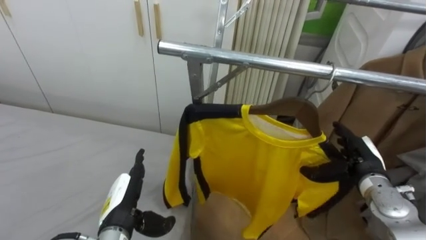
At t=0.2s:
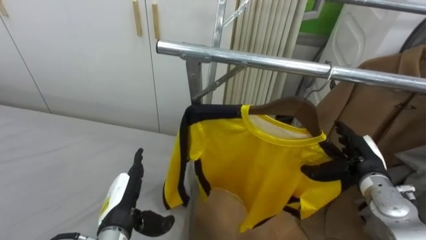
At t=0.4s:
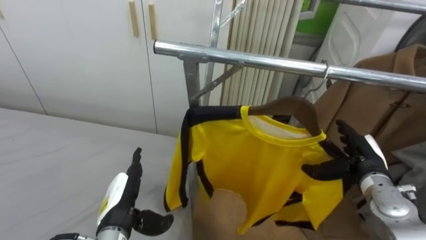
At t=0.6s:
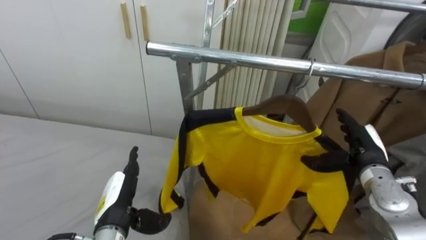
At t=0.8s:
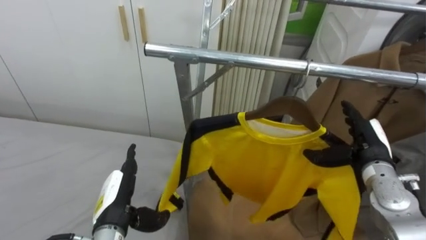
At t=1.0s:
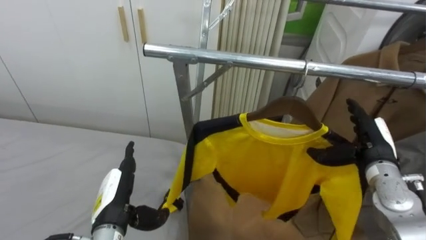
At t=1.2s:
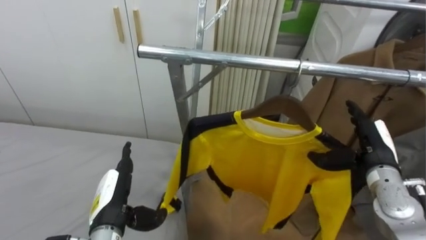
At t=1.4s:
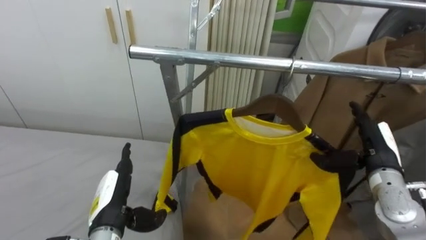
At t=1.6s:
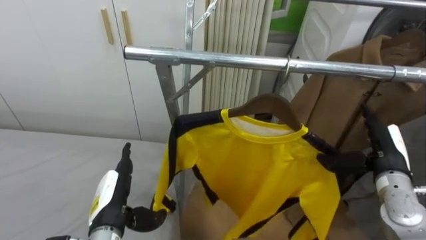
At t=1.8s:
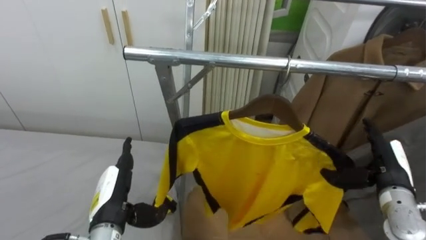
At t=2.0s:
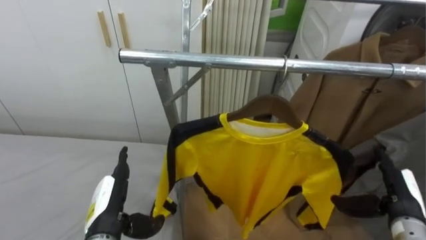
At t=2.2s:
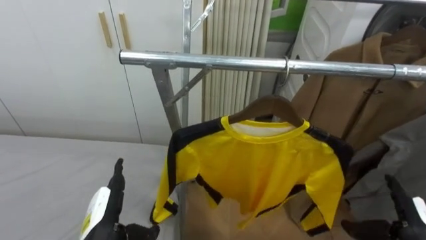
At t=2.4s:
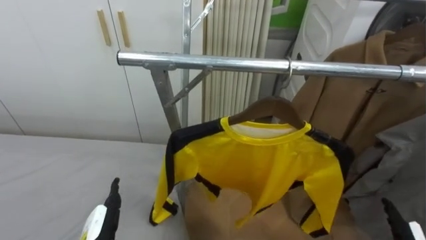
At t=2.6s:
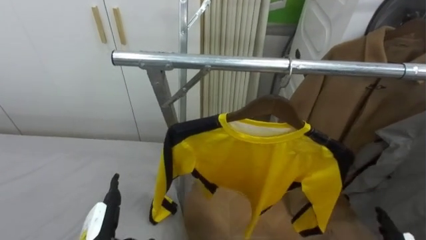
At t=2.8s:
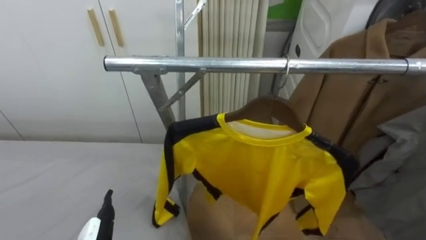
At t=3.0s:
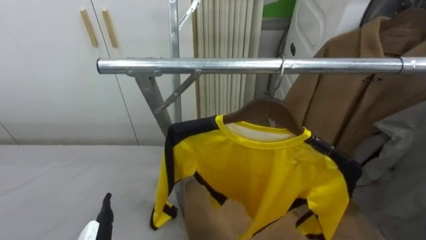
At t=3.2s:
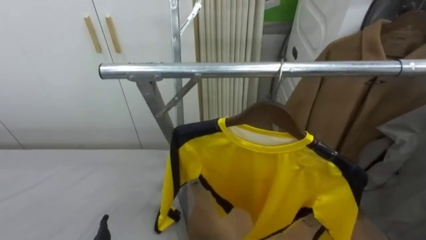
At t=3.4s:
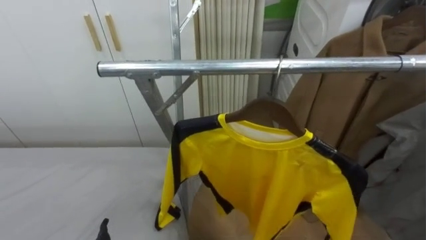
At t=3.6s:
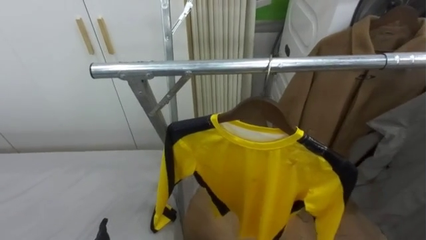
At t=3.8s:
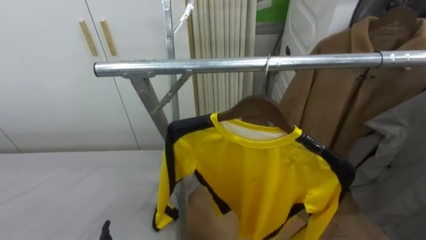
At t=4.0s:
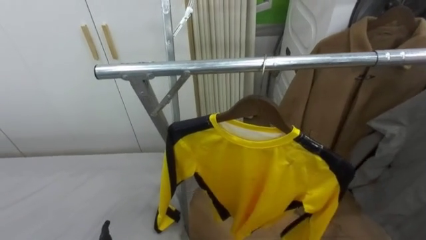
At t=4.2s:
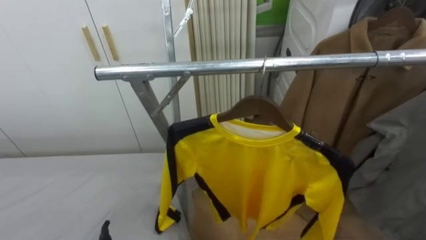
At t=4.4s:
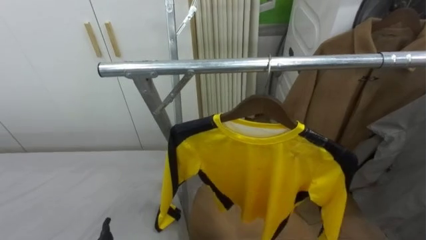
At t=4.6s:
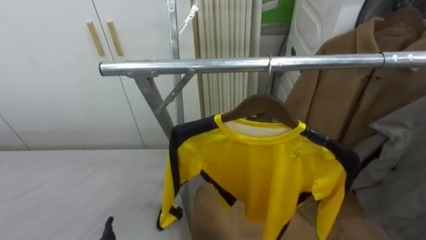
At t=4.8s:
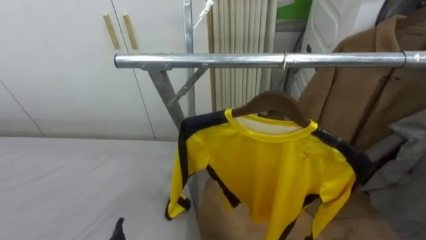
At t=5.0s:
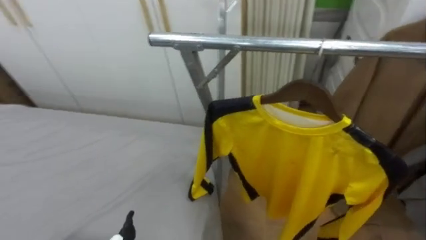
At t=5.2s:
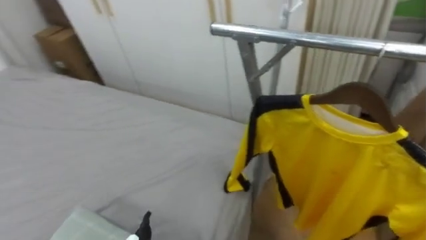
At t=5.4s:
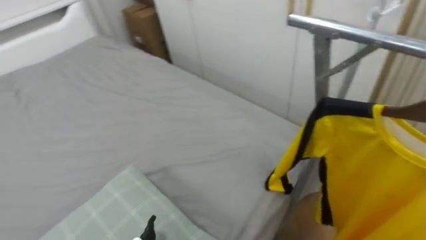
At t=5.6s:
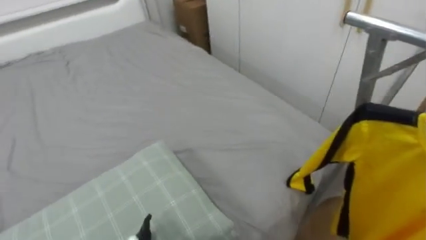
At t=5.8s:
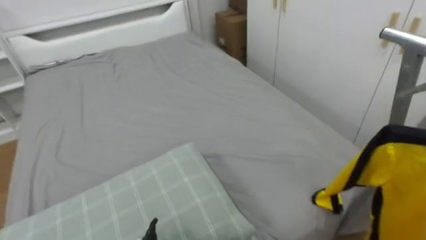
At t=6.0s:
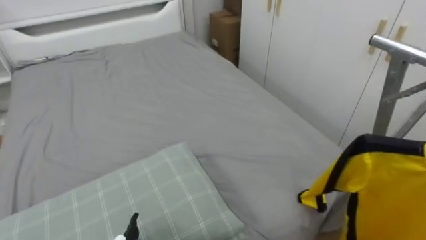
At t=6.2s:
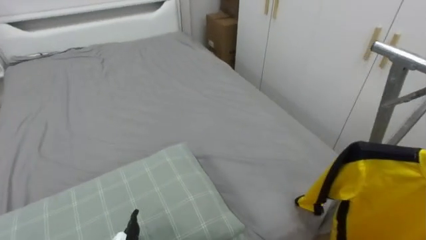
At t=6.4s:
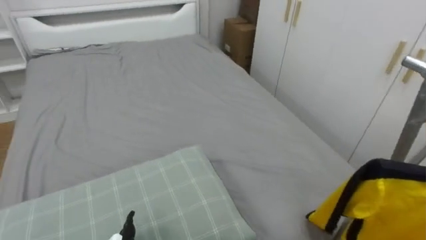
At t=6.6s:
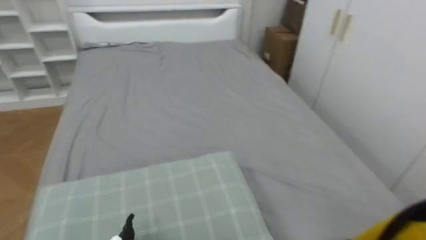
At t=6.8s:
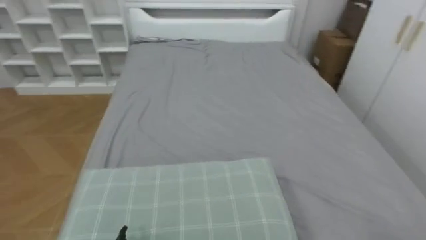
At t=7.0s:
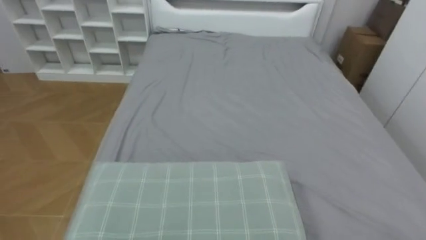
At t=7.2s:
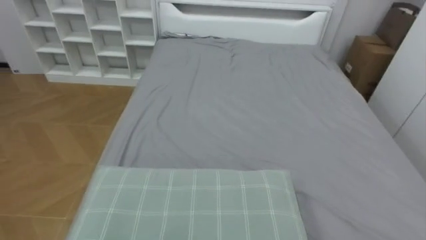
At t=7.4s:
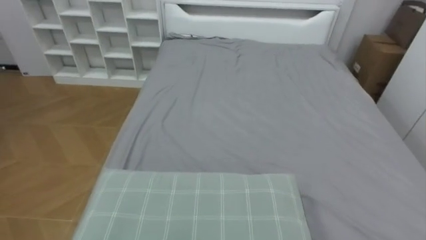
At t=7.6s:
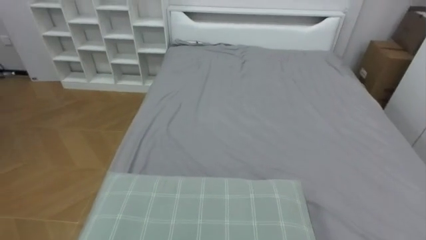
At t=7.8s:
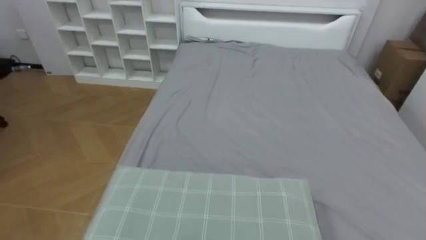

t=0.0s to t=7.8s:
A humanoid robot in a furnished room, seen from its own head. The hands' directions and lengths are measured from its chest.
Task of the whole recording: Pick up the yellow shirt on the bed and hang it on the clothes rack on the right.
t=4.6s to t=6.2s: The robot's body swings about 60 degrees to its left.
t=6.2s to t=7.8s: The robot turns to its left by some 30 degrees.

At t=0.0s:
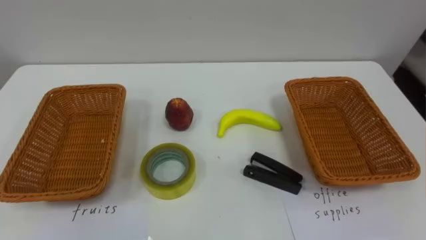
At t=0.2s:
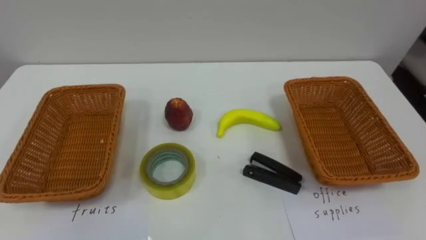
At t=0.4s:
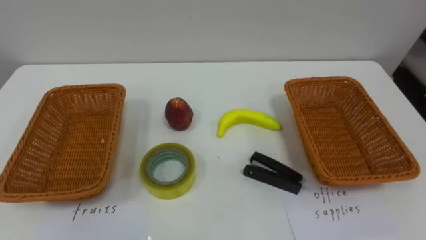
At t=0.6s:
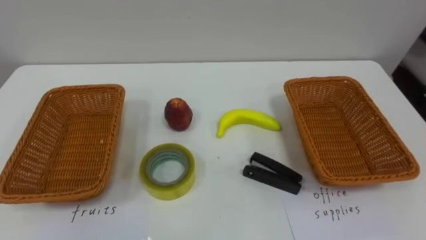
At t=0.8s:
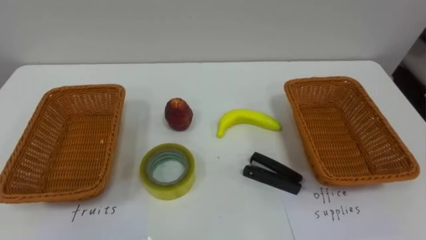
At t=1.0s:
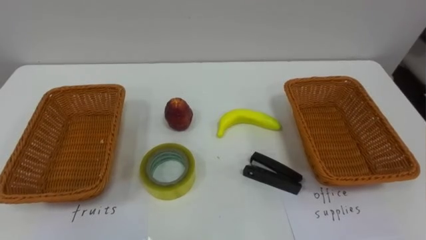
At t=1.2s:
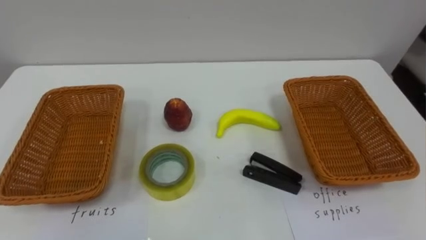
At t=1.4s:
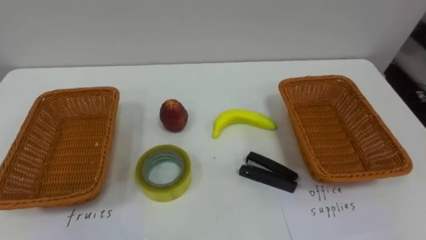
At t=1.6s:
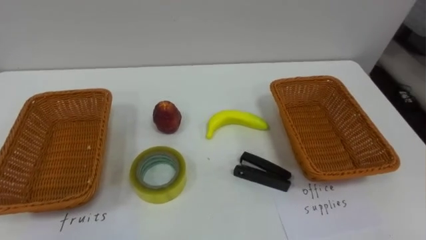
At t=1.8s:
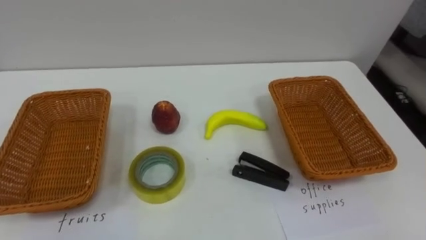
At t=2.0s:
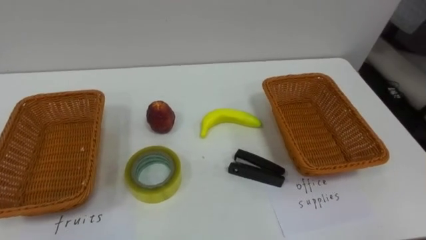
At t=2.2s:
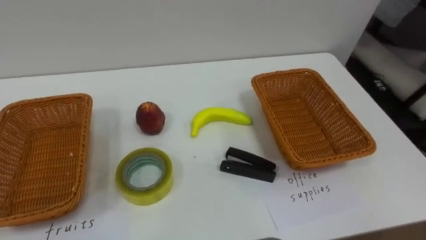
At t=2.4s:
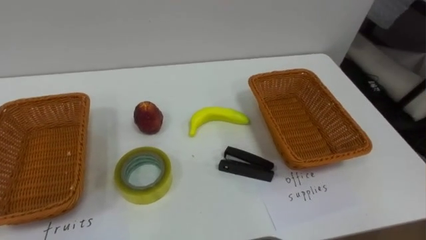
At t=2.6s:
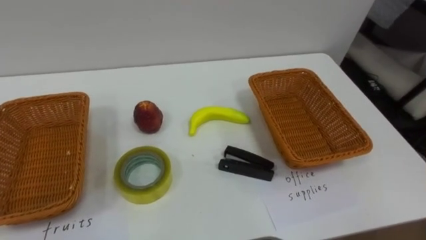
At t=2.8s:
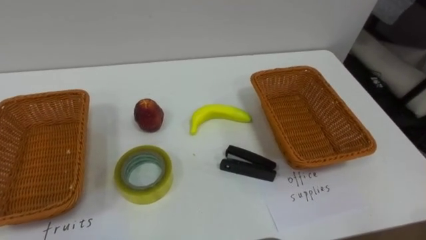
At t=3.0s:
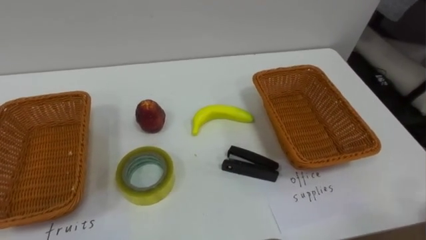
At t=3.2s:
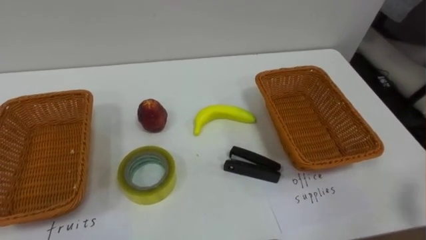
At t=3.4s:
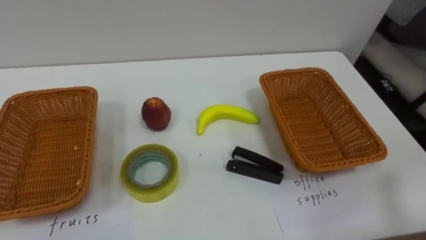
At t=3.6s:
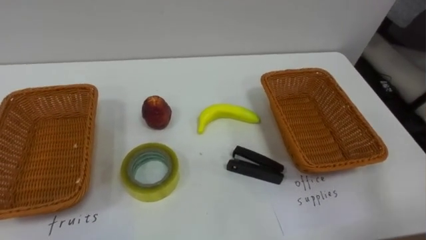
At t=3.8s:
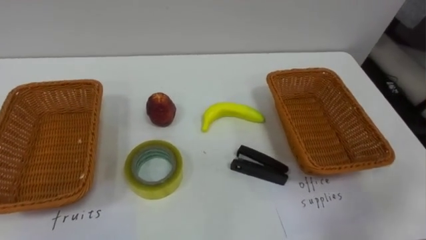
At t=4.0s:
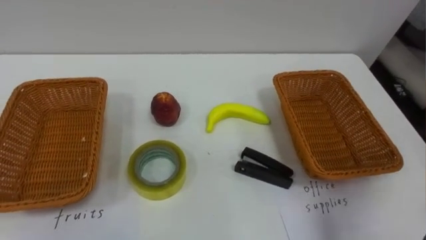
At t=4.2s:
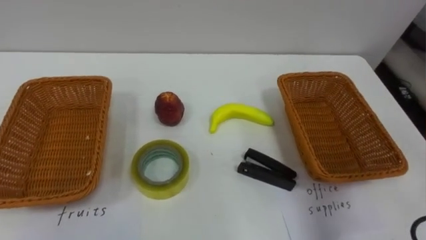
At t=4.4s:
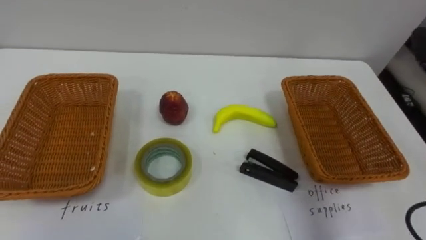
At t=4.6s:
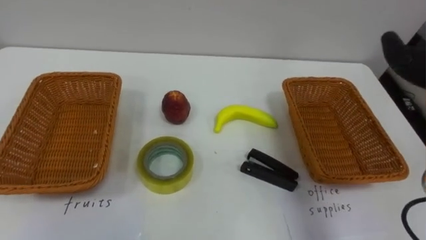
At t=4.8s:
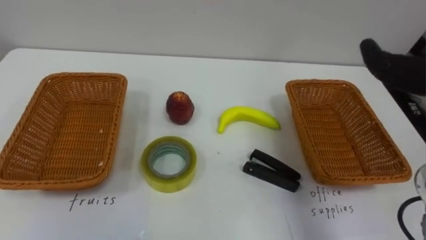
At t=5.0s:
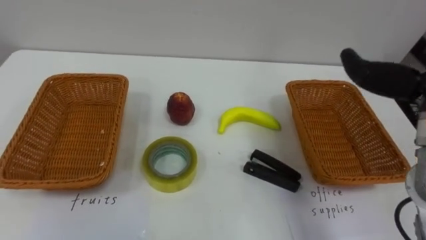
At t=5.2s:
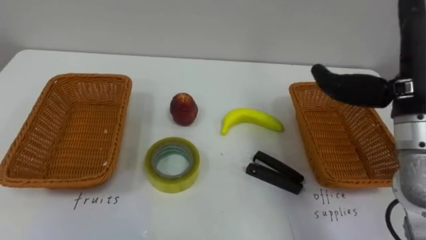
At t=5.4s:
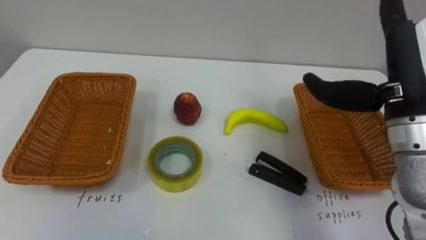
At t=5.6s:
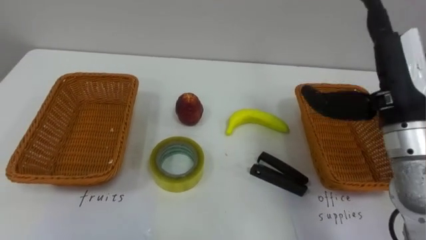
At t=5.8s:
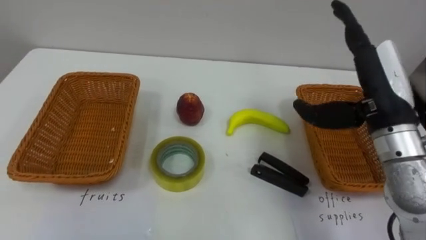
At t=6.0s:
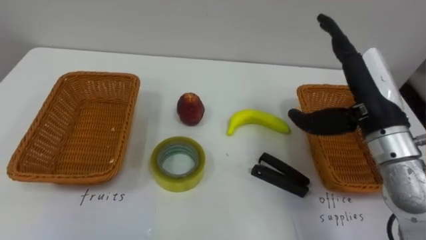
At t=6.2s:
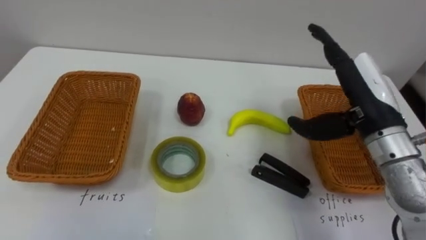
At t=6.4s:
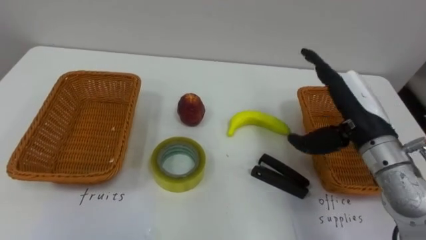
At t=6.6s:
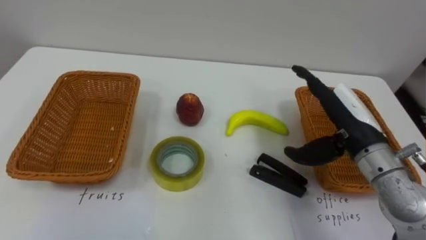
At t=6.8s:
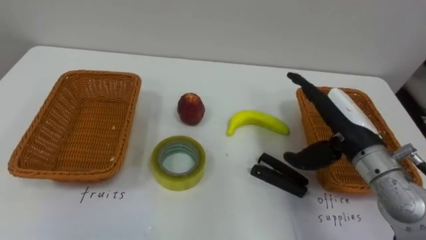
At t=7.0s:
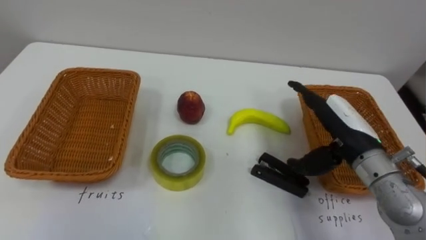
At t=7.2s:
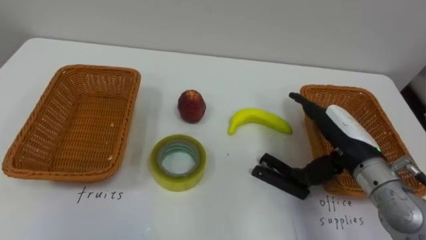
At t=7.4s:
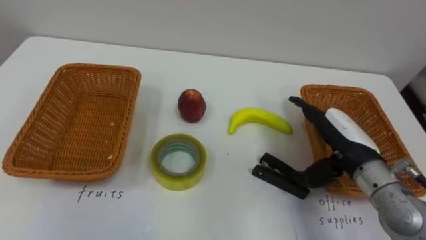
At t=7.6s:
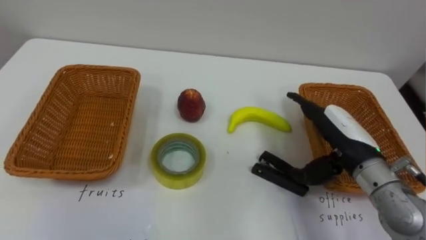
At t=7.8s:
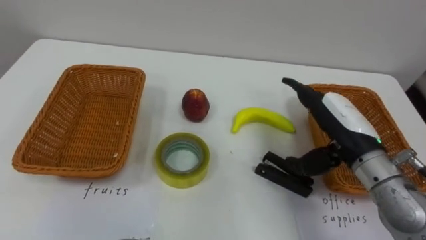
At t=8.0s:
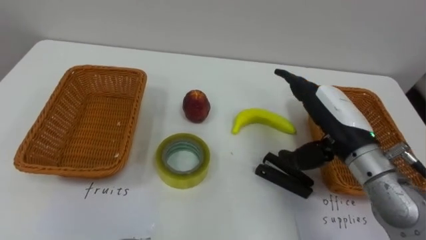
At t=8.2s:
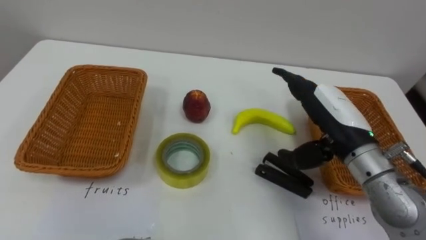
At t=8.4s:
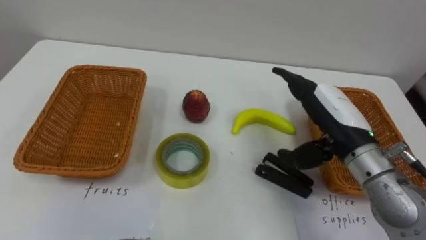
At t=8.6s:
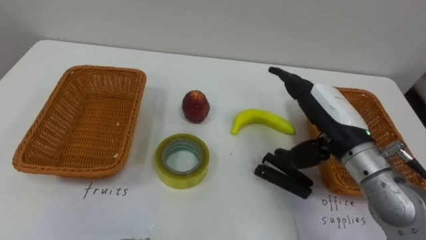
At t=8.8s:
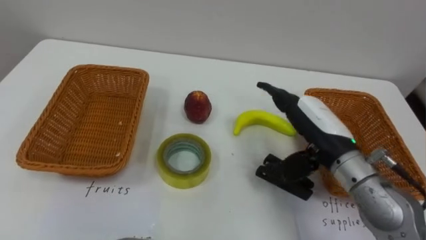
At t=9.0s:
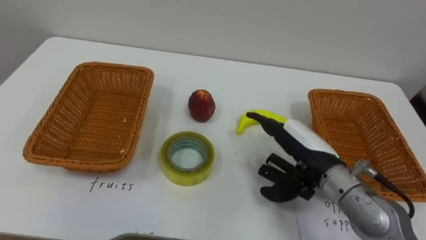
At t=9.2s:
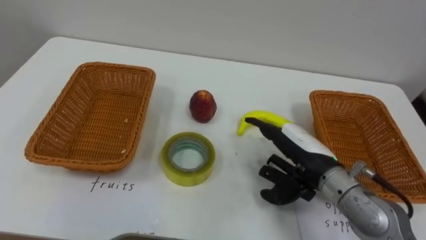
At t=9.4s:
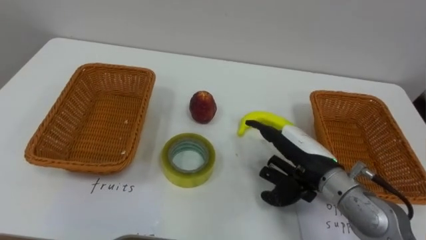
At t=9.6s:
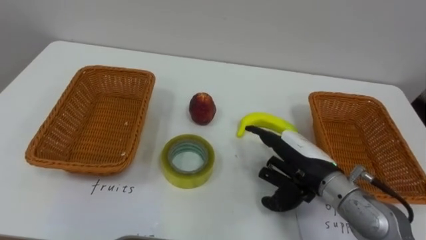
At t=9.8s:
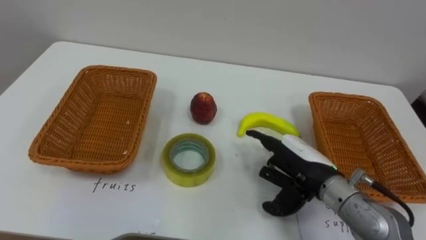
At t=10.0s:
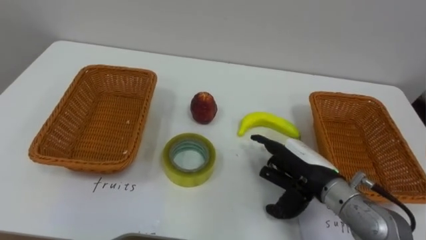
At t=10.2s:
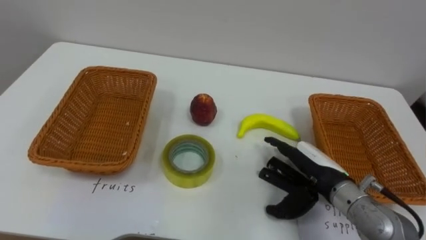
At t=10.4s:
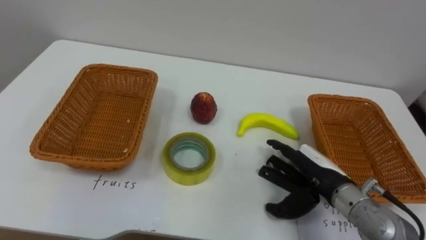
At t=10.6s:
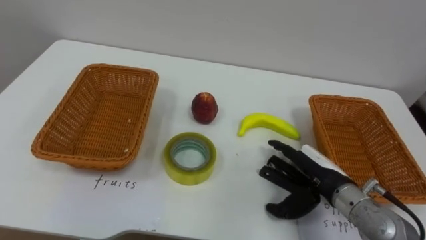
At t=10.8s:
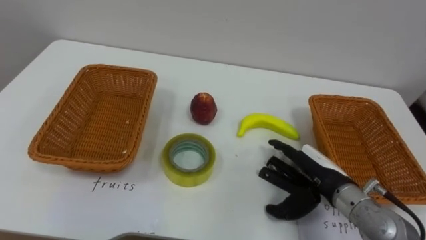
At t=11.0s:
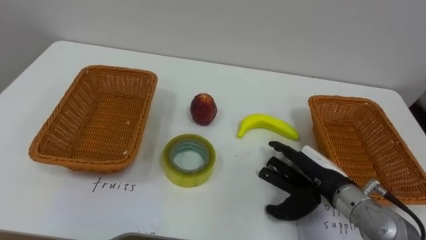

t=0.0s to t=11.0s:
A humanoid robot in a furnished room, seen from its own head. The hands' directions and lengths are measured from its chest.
Task of the whole recording: Separate the items on the table and place them into the two baskets.
t=6.2s to t=7.8s: The right hand moves downward, about 5 cm.
t=7.8s to t=9.4s: The right hand travels downward by about 5 cm.
t=9.4s to t=11.0s: The right hand travels downward by approximately 5 cm.
